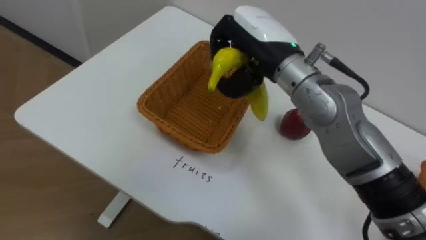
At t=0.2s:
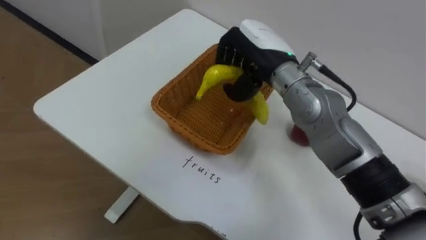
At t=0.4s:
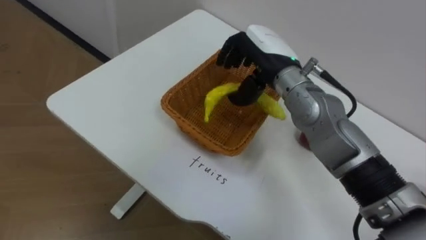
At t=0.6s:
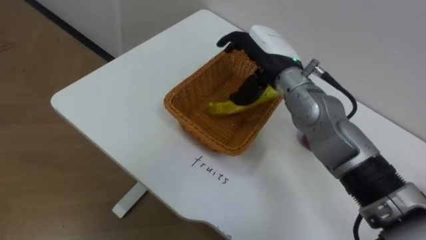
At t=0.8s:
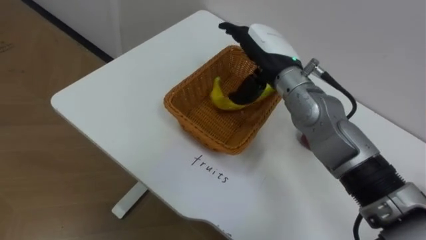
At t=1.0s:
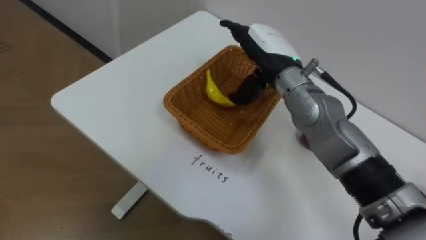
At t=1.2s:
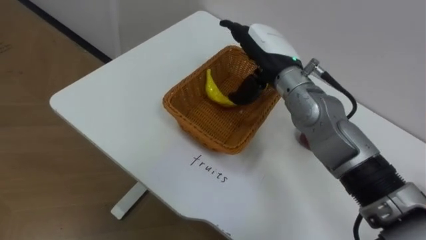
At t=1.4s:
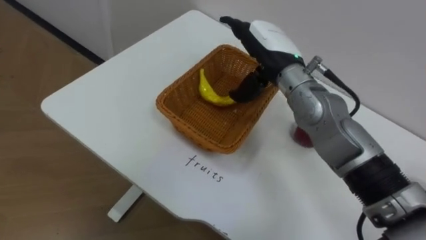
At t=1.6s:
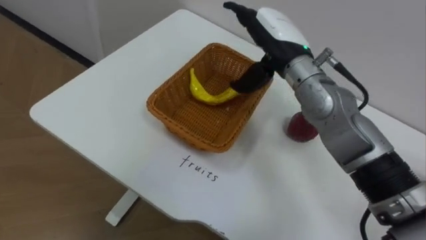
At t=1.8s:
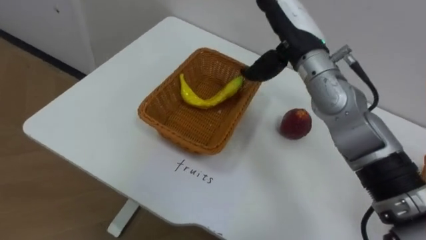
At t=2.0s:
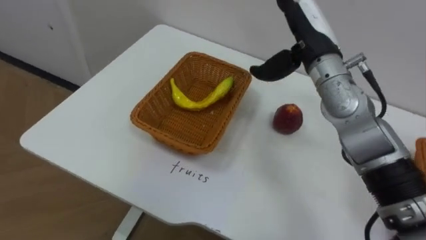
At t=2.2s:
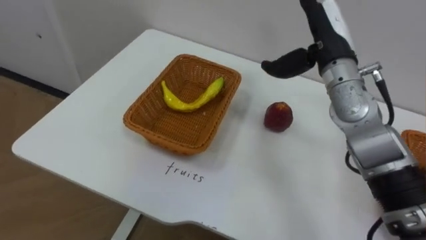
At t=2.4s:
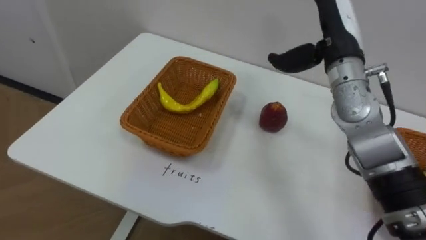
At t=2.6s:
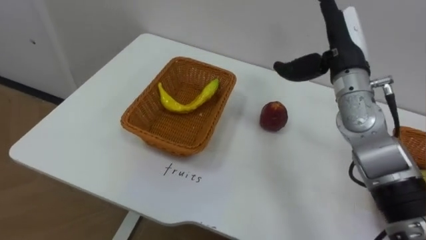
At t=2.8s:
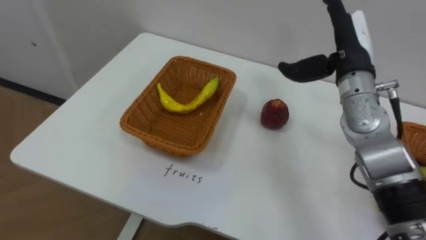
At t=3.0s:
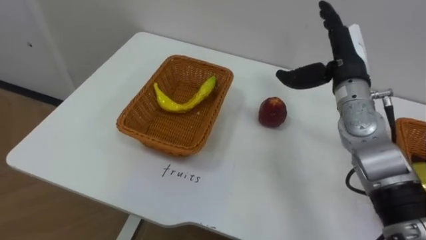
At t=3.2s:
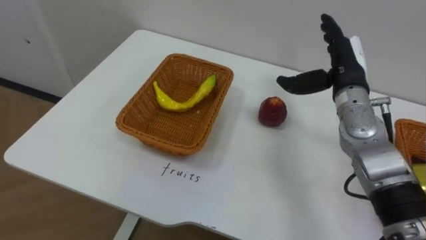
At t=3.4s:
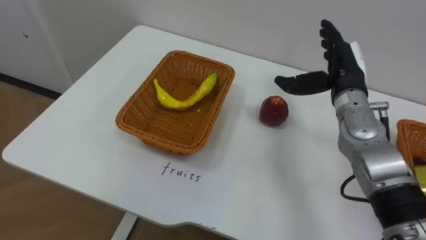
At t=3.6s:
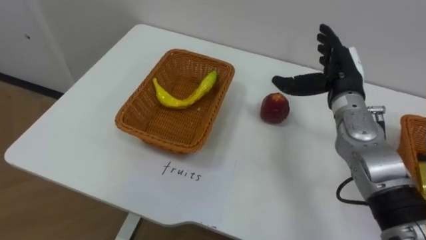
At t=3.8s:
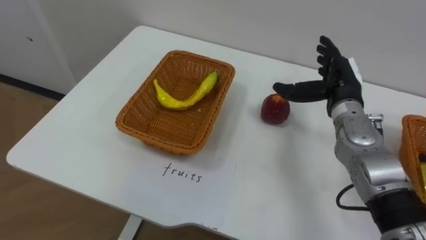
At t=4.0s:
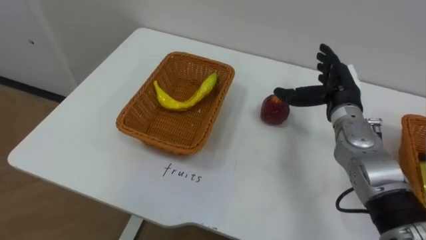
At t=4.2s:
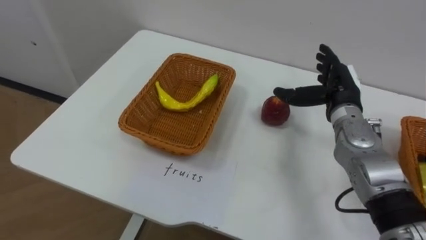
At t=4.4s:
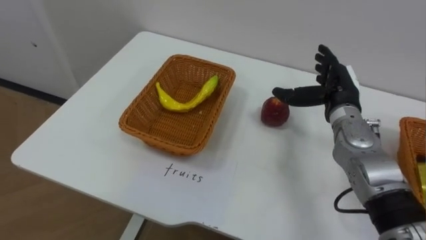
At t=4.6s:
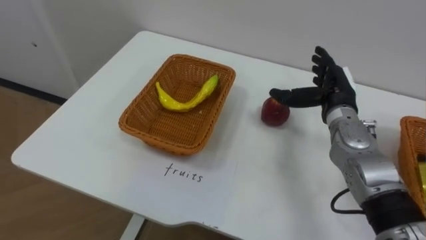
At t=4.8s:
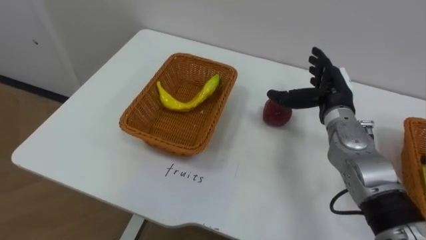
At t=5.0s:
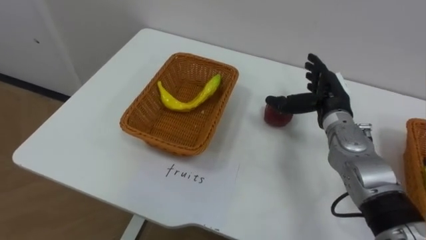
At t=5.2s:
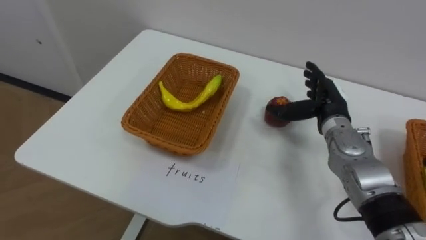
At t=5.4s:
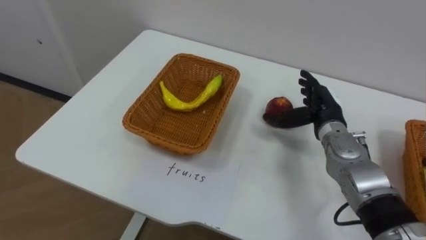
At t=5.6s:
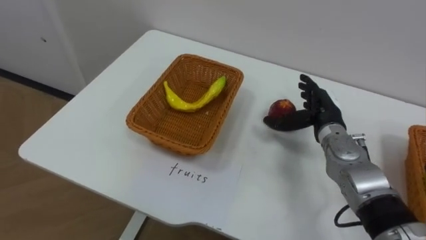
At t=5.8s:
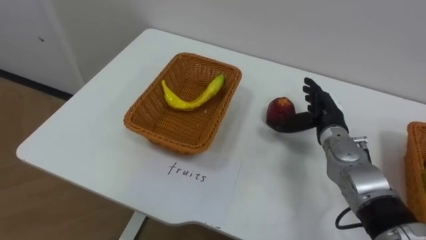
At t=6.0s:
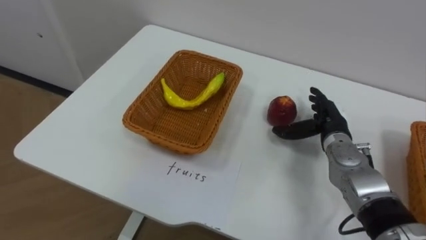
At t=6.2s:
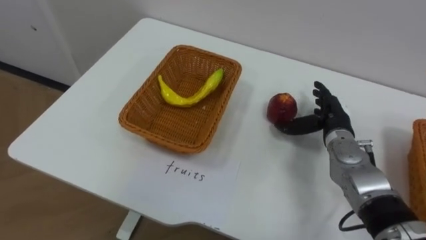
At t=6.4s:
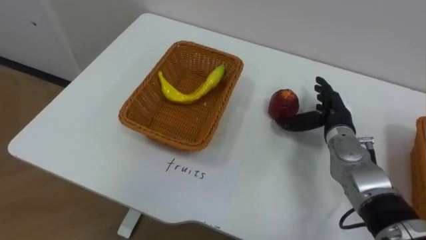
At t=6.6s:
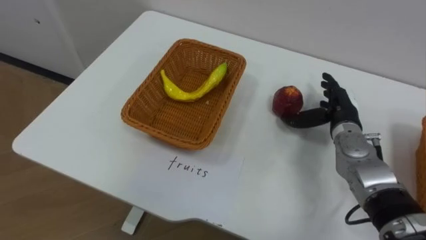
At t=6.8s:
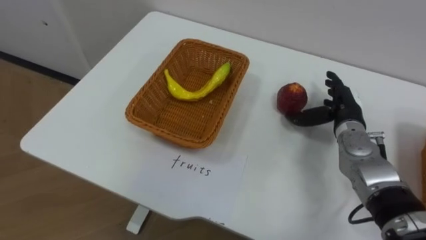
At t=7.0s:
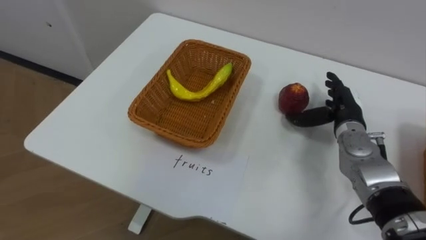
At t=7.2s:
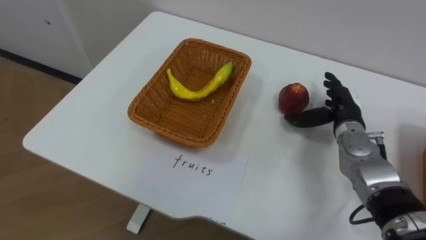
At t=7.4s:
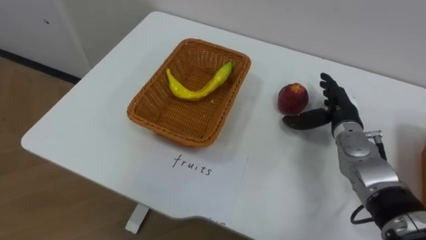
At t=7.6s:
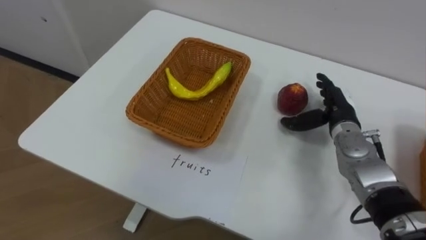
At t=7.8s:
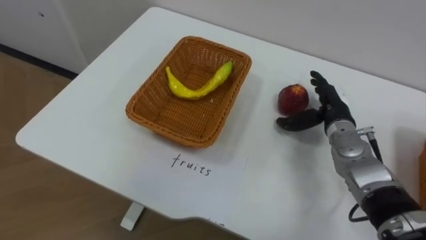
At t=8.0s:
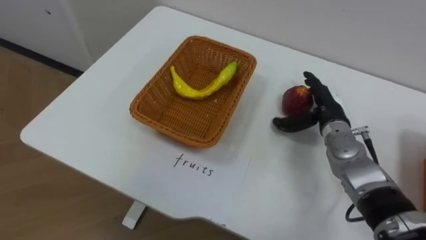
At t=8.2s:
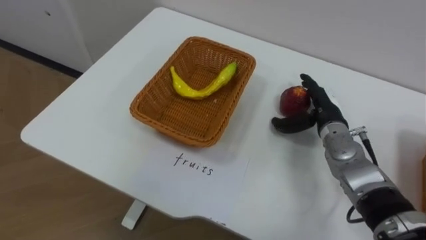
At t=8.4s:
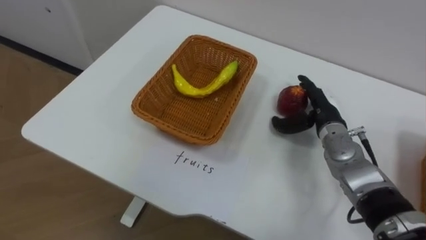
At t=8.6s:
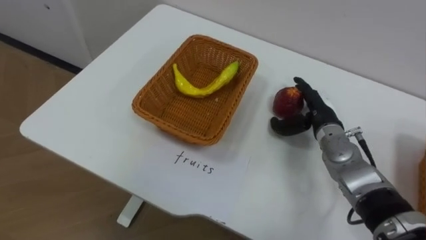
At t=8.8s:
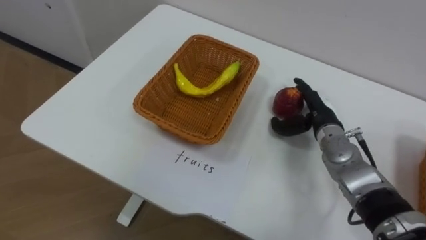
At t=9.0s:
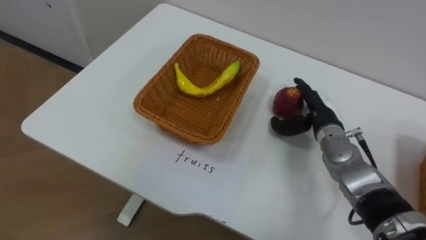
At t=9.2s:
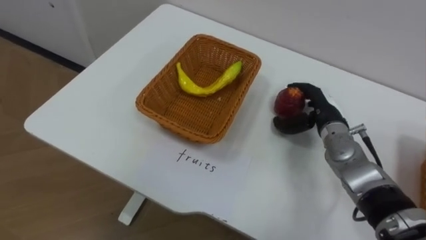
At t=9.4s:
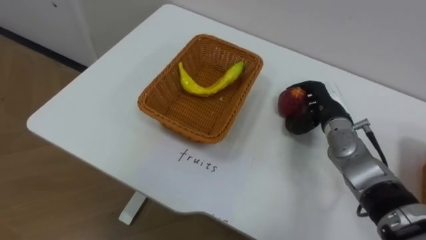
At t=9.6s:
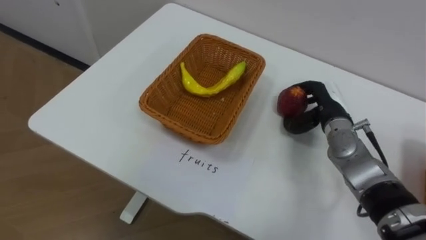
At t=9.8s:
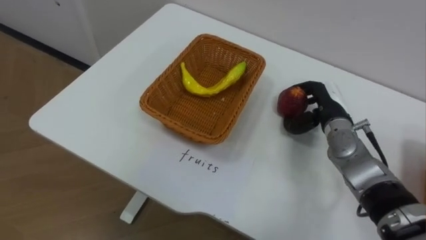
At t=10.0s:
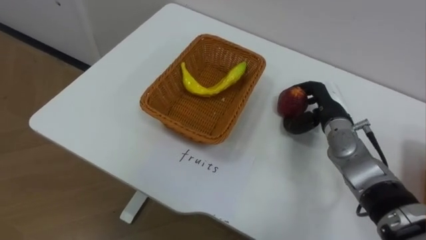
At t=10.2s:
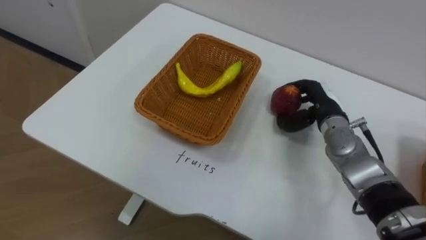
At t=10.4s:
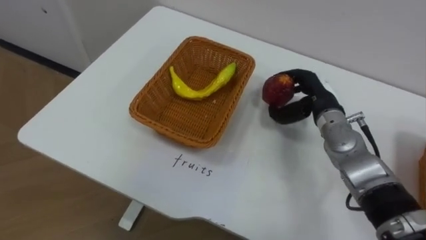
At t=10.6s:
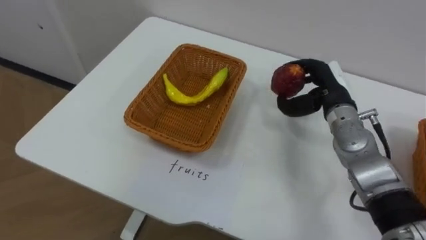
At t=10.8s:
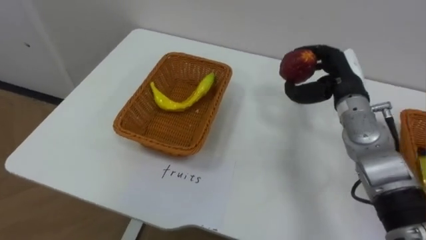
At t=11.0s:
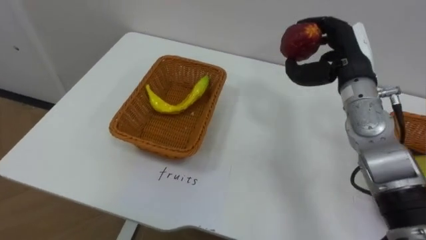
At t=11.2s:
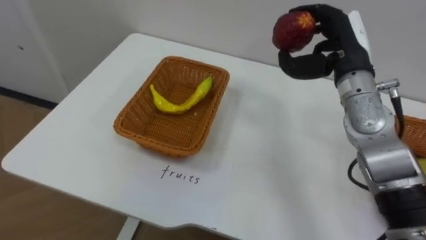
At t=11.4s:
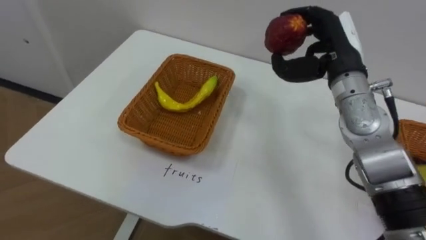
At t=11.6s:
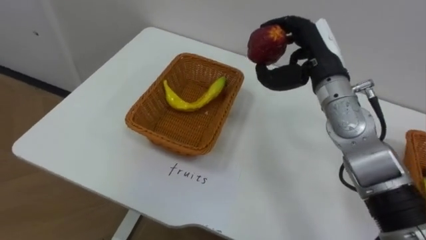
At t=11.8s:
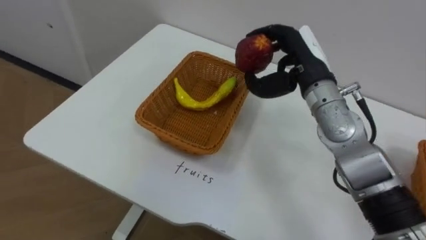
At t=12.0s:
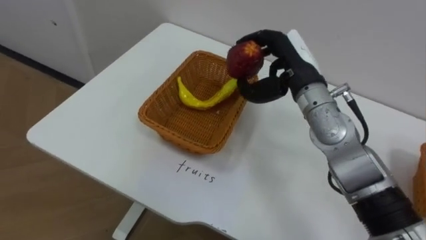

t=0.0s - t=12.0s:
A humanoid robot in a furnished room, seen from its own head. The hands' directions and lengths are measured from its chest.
Task of the whole recording: Separate the items on the table and place them into the two baskets.
t=0.0s - t=1.6s: The right hand ends up approximately 5 cm from where it was, and opens up.
t=1.6s - t=3.0s: The right hand goes roughly 10 cm to the right.
t=3.0s - t=4.4s: The right hand shifts roughly 5 cm downward.
t=4.4s - t=6.0s: The right hand moves downward, roughly 5 cm.
t=9.0s - t=10.4s: The right hand closes up.
t=10.4s - t=12.0s: The right hand moves upward and to the left, about 10 cm.

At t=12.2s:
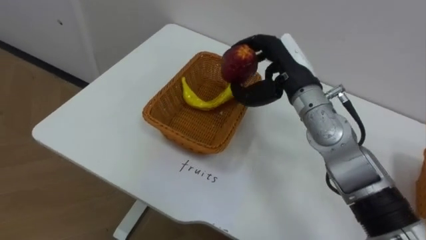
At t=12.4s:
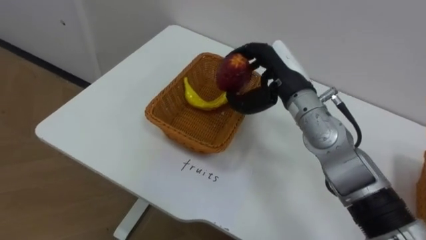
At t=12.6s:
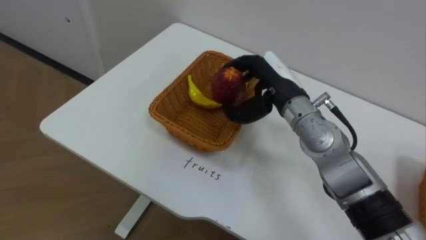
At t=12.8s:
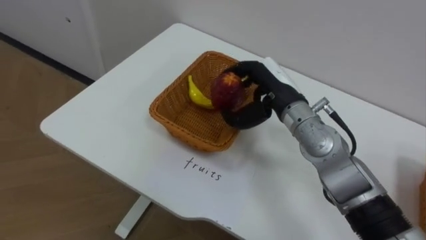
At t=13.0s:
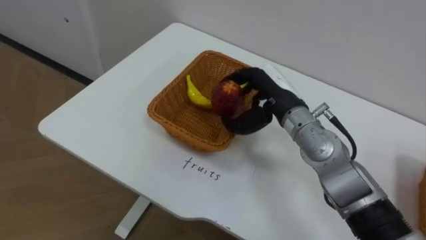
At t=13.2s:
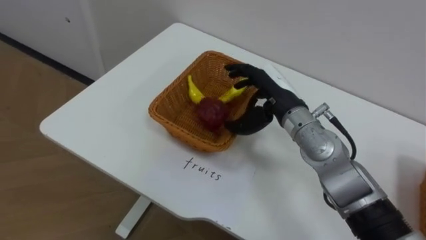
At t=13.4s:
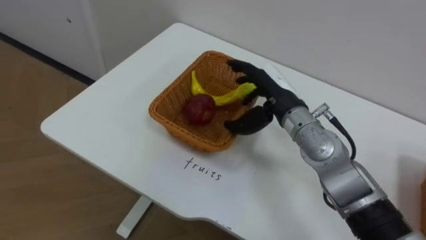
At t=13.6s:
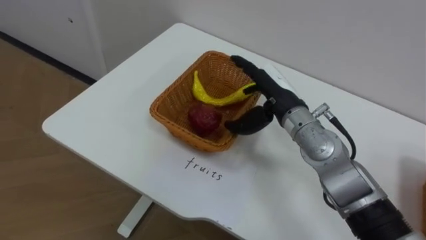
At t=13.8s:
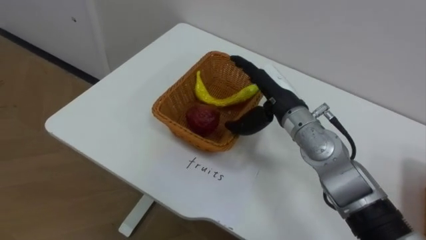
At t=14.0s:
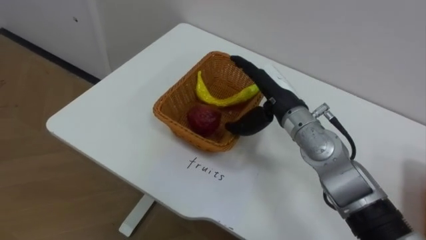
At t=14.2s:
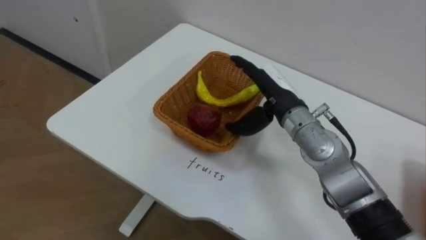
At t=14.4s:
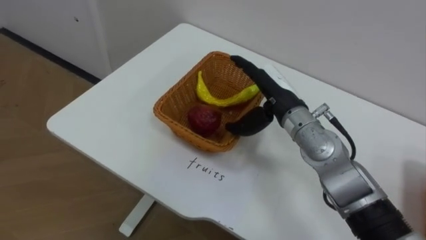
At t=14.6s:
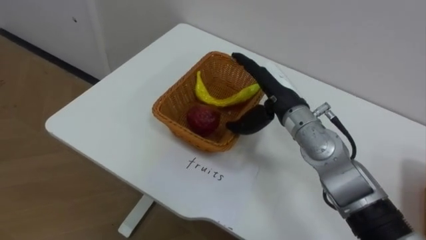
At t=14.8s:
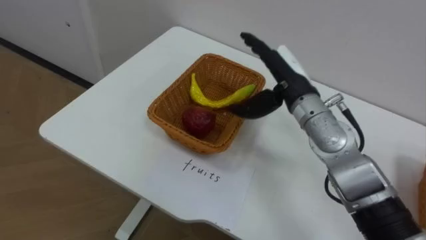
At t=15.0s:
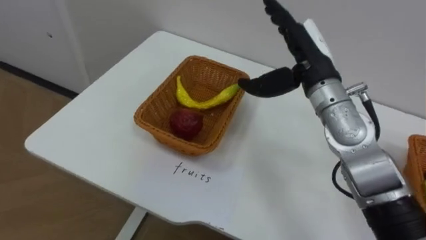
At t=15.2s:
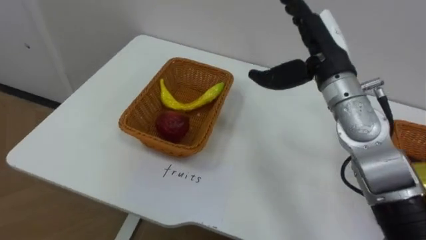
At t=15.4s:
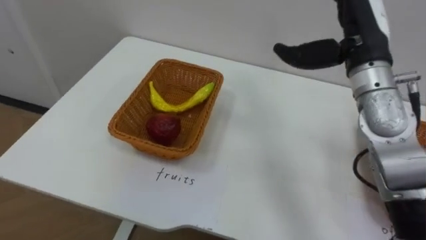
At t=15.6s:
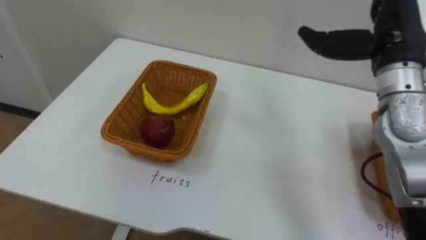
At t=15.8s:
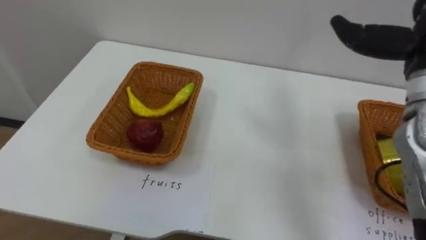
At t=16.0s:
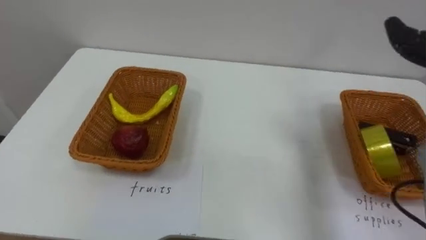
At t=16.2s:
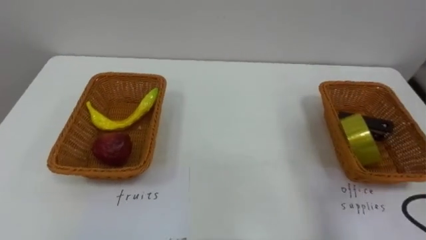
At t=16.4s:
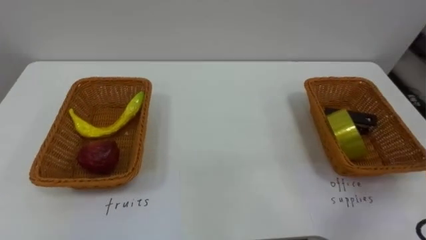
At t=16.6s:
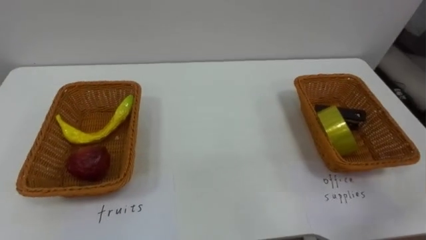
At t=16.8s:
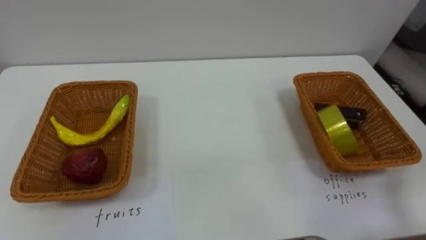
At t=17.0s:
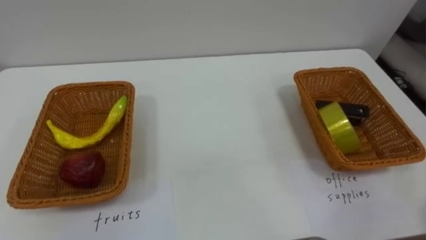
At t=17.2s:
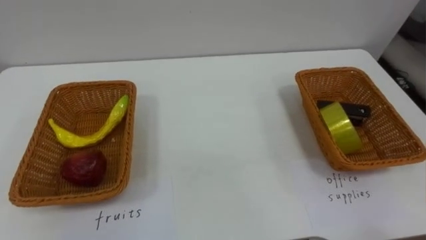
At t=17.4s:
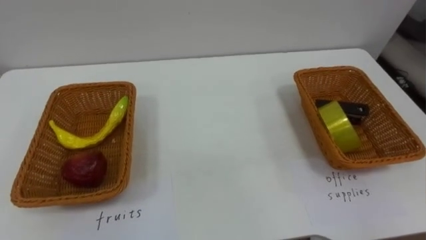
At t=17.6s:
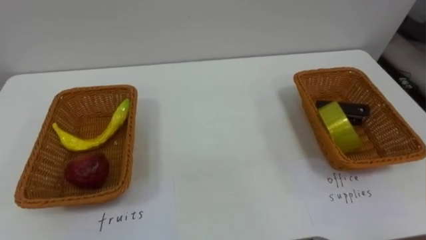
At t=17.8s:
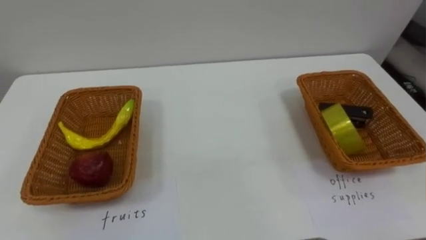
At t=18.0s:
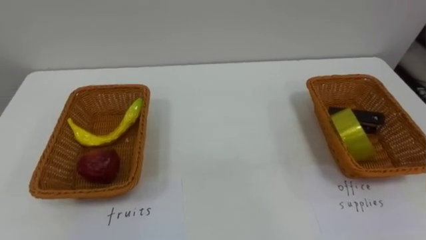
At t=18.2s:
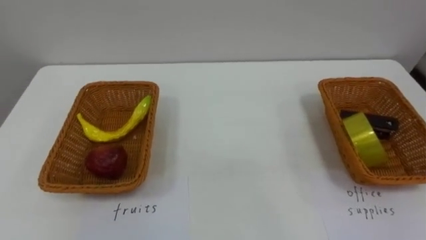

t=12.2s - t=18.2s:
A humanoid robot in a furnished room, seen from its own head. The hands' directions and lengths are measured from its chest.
Task of the whole recording: Separate the items on the table and place them into the two baskets.
t=12.2s - t=13.8s: The right hand shifts by some 5 cm, and opens its fingers.
t=13.8s - t=15.2s: The right hand heads upward and to the right, covering approximately 10 cm.
